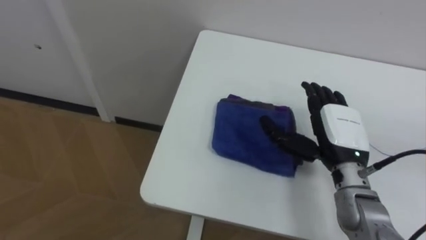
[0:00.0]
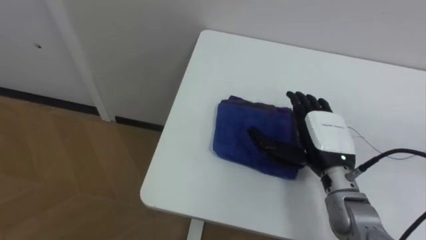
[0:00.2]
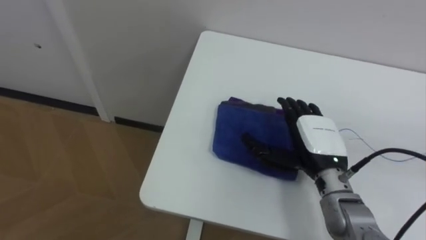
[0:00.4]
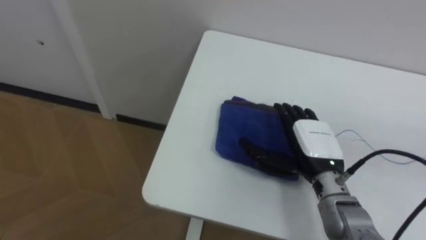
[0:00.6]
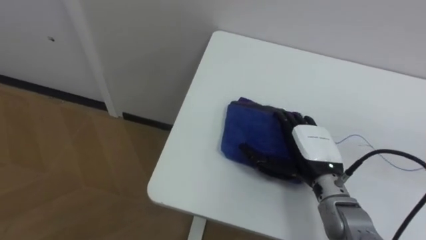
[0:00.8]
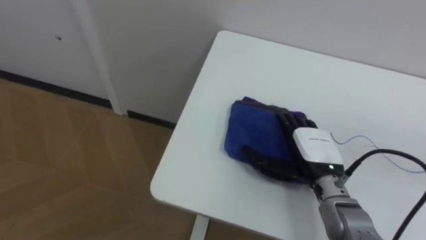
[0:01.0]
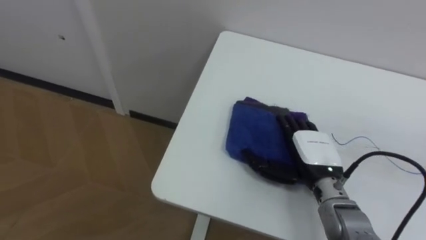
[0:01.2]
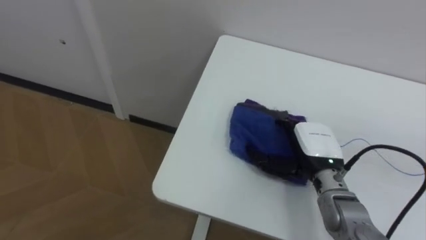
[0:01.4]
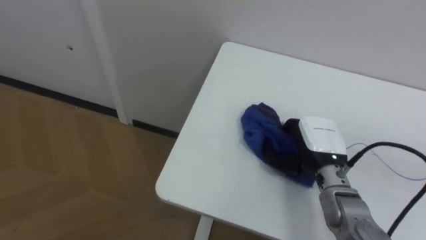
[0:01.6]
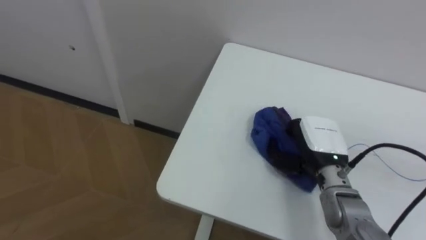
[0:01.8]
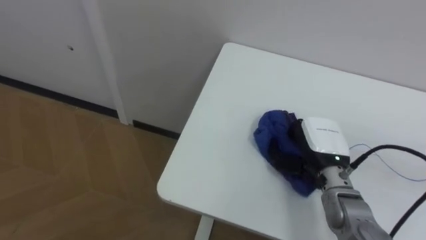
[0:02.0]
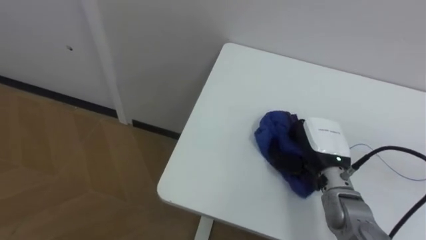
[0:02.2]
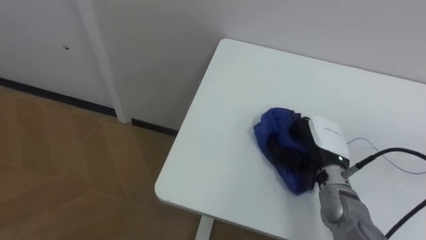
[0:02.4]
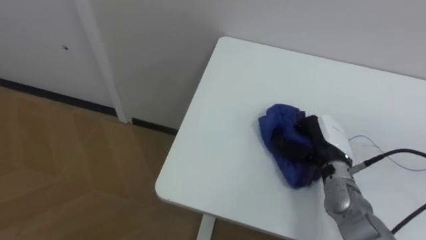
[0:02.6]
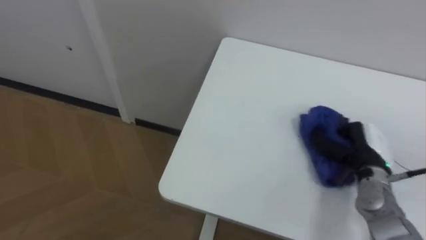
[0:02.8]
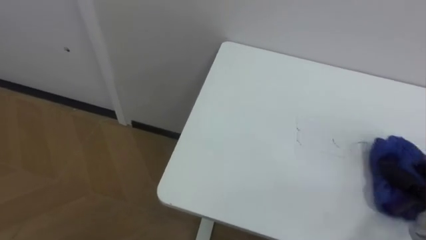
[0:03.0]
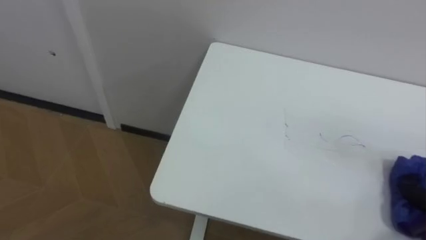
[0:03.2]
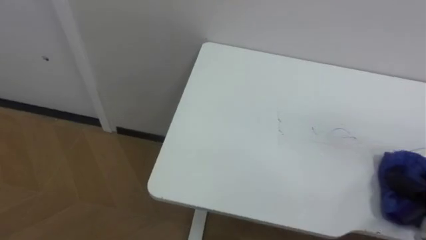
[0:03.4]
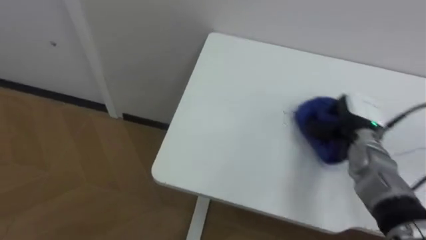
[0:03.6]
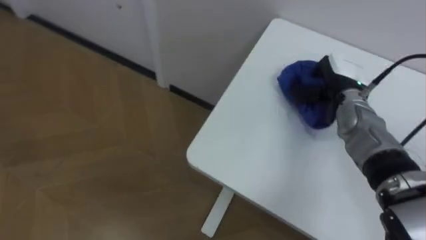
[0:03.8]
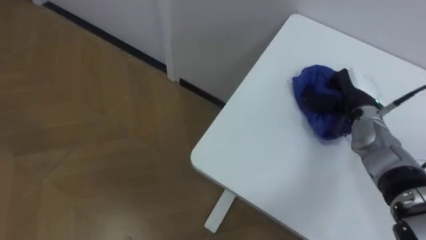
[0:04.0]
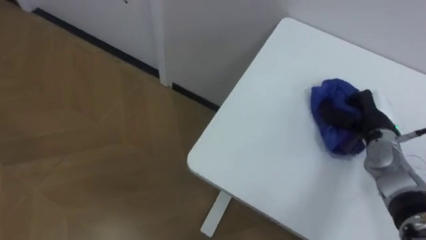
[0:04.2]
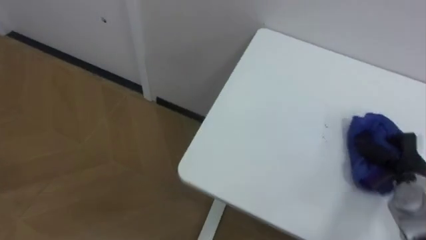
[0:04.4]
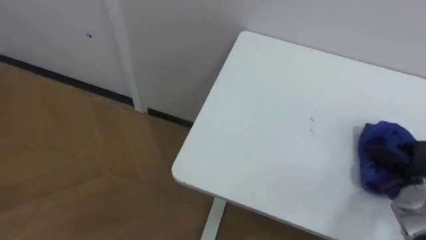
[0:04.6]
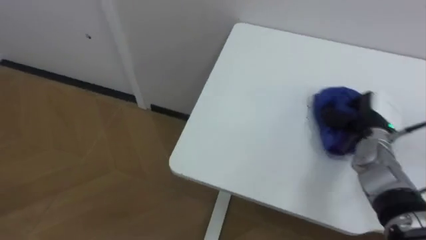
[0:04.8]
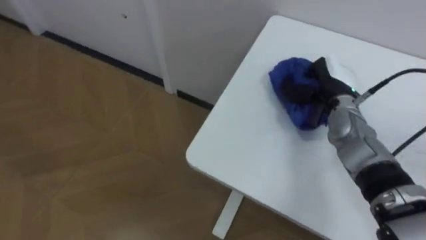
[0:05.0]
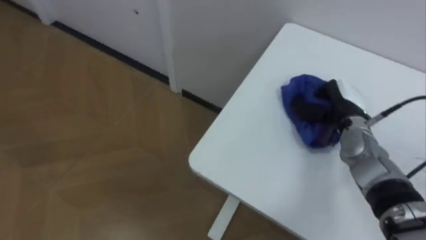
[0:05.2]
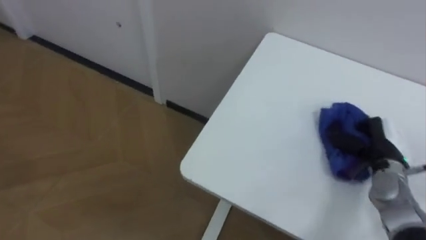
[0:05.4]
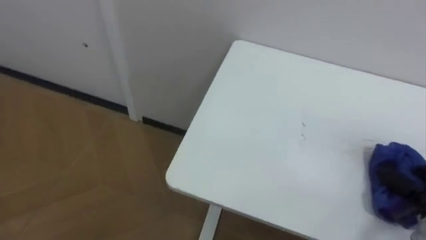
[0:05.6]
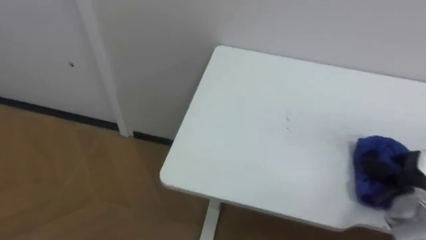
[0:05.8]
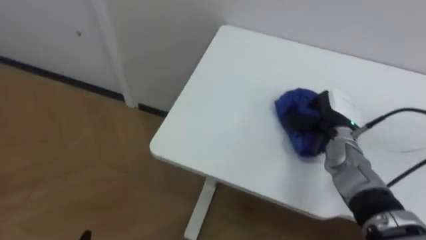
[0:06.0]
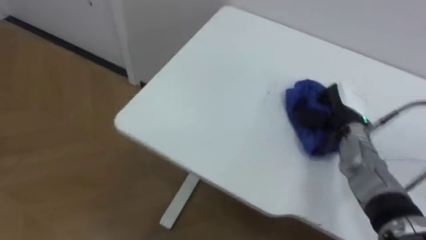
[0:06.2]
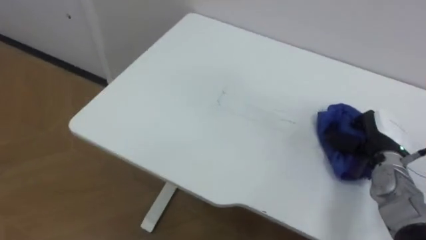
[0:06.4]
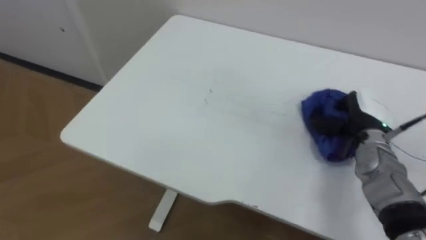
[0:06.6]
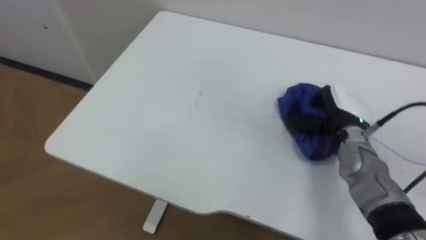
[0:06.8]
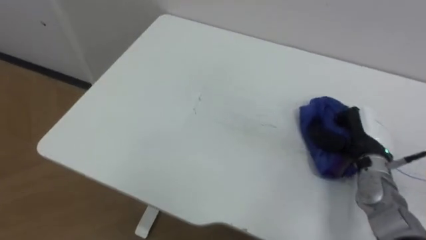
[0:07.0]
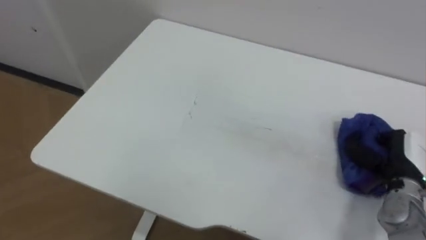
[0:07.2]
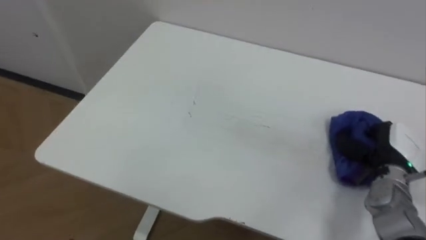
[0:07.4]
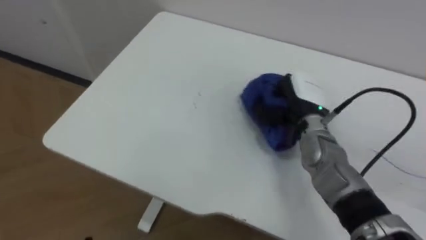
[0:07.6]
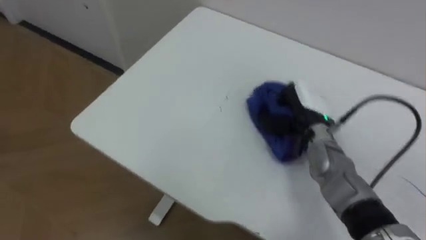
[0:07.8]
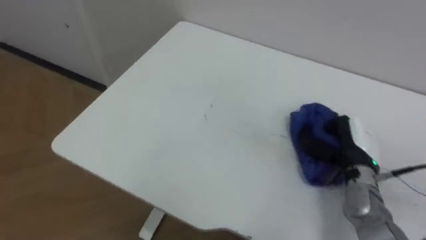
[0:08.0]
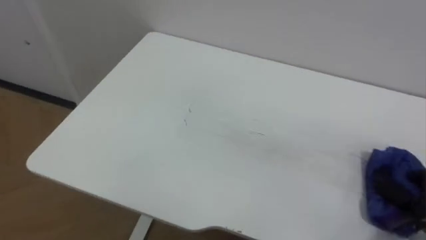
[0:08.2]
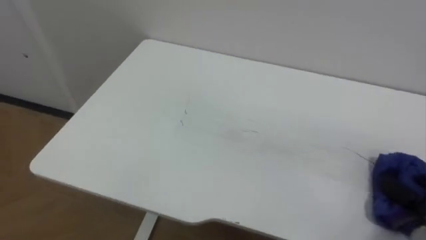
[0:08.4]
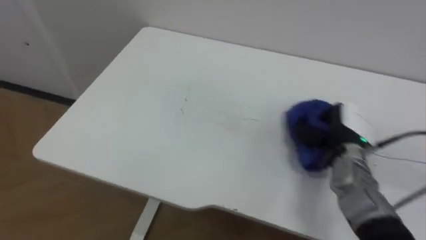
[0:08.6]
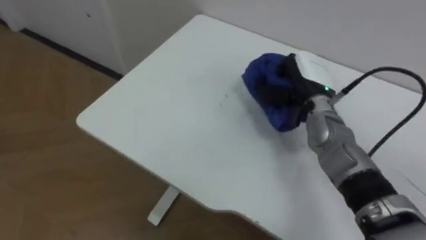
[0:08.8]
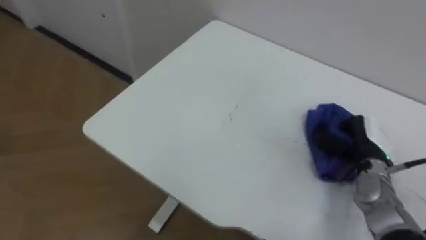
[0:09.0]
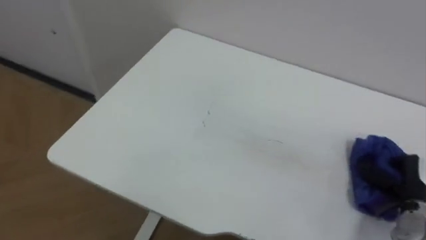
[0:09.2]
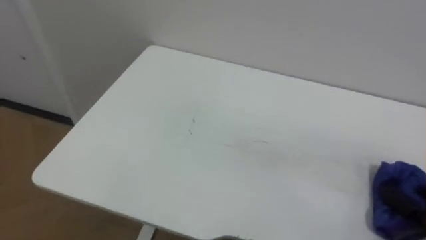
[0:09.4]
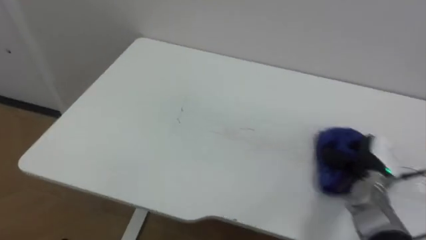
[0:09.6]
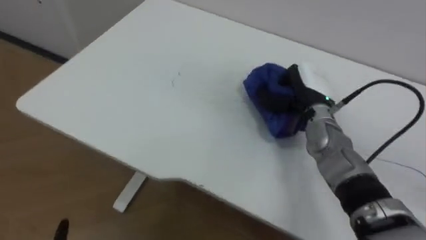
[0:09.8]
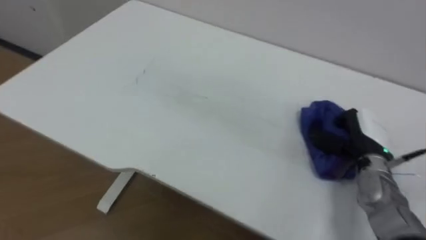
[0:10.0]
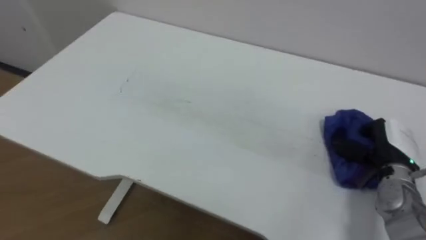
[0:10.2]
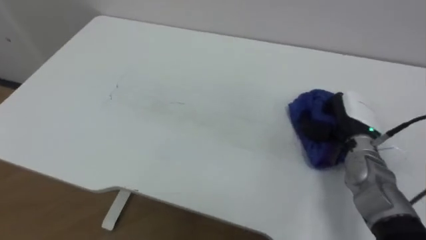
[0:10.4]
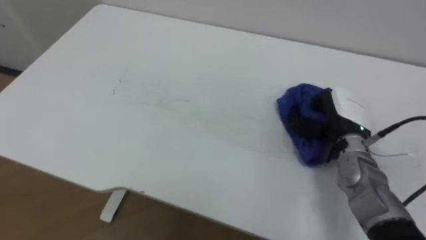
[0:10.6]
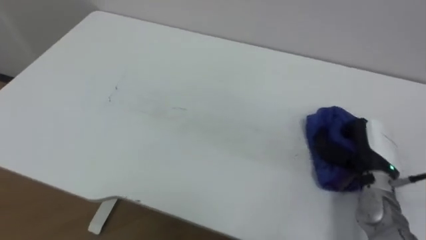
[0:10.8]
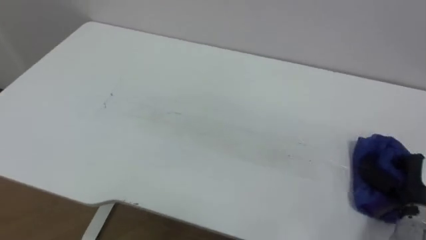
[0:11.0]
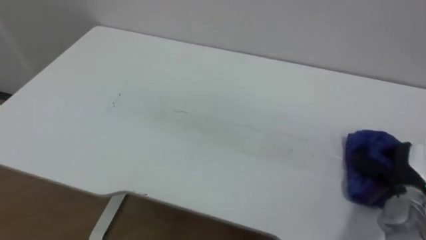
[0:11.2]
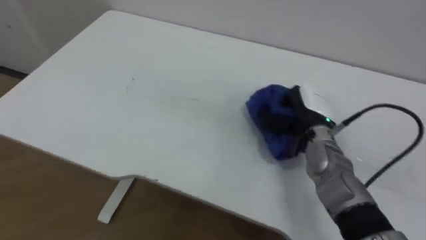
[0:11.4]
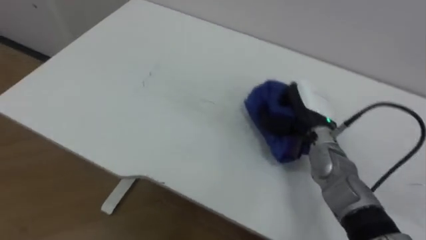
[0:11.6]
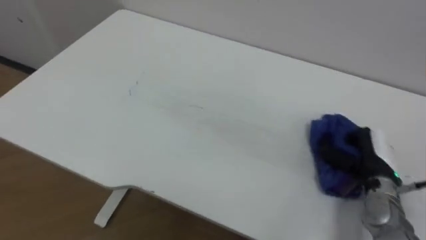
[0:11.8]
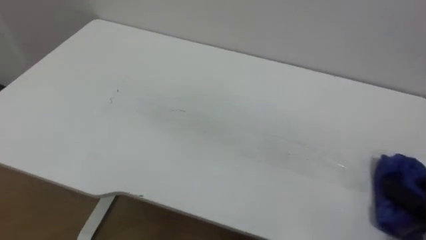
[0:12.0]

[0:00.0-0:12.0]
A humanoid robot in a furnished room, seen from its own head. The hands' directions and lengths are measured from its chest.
Task of the whole recording: Wipe the blue pen marks off the table with the rag.
0:00.0 to 0:01.6: The right hand shifts approximately 5 cm downward, and closes.
0:01.6 to 0:03.0: The right hand heads to the right, covering about 20 cm, and closes its fingers.
0:06.0 to 0:07.6: The right hand goes left and right, about 20 cm each way, reversing 3 times.

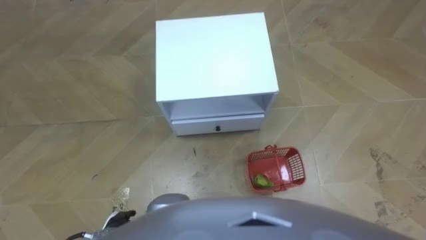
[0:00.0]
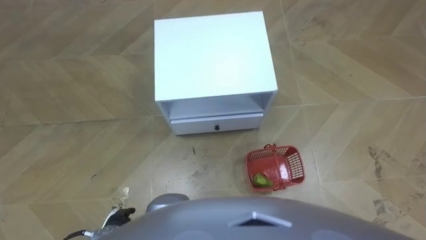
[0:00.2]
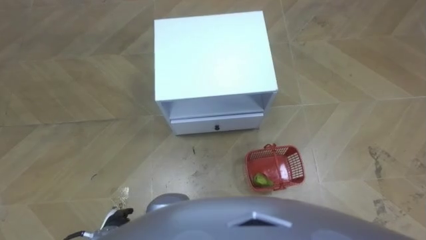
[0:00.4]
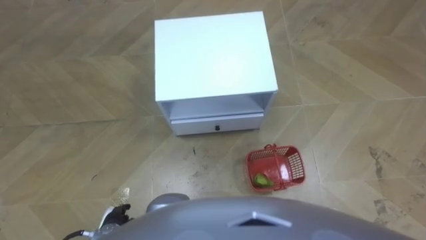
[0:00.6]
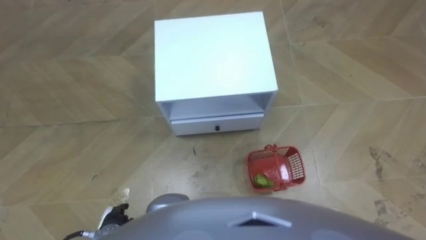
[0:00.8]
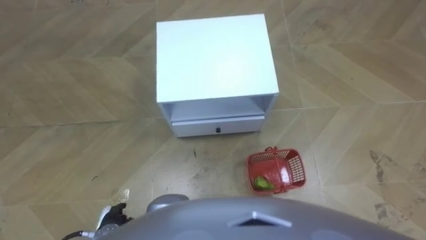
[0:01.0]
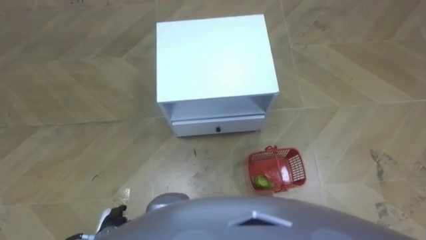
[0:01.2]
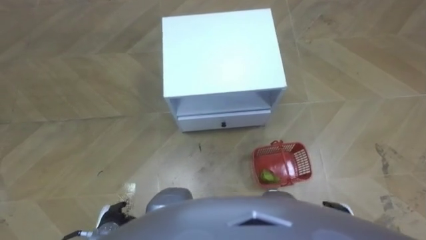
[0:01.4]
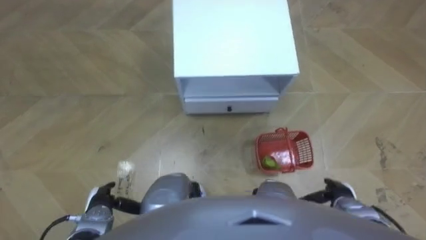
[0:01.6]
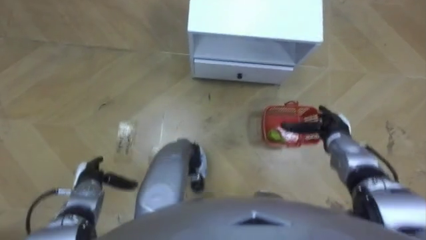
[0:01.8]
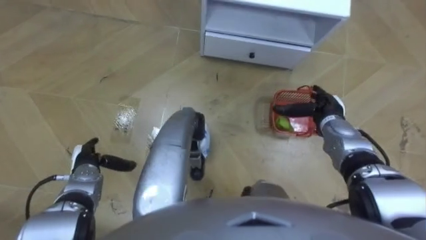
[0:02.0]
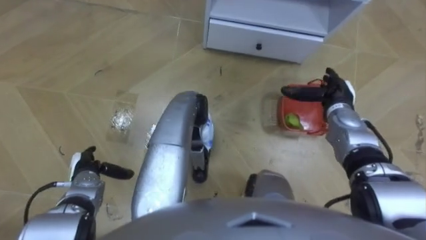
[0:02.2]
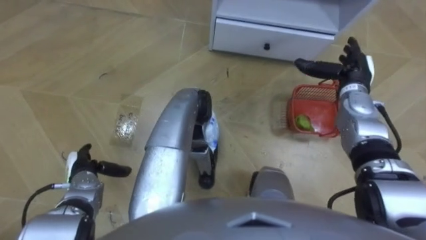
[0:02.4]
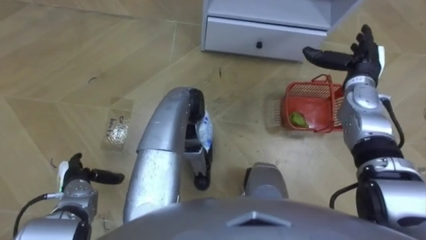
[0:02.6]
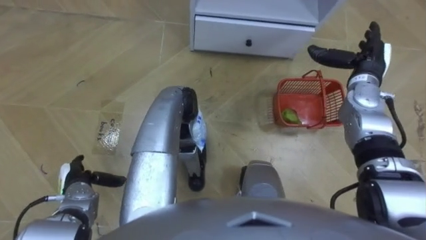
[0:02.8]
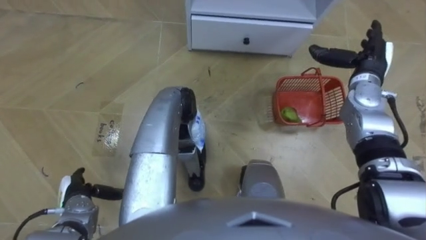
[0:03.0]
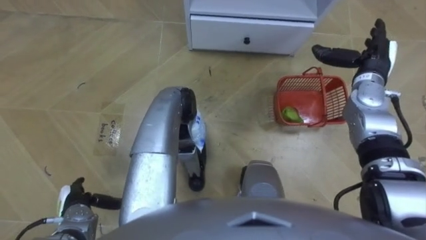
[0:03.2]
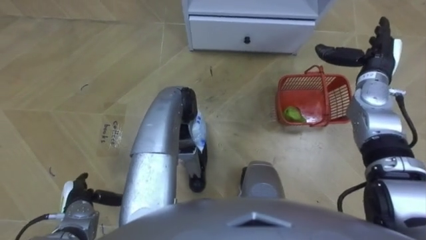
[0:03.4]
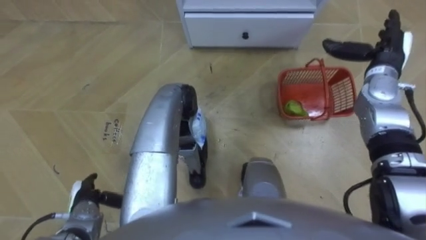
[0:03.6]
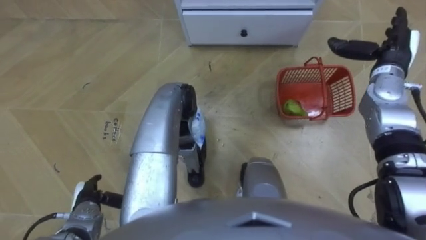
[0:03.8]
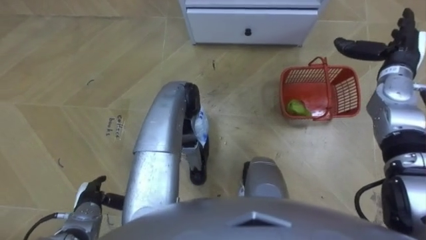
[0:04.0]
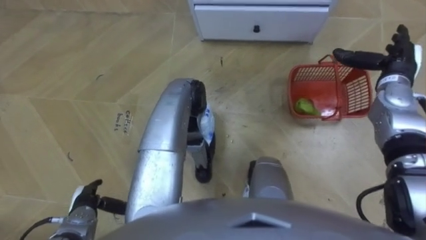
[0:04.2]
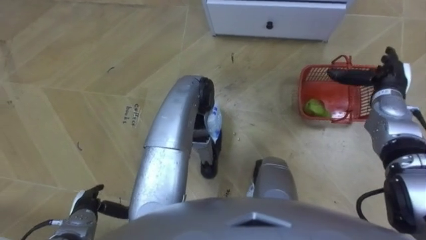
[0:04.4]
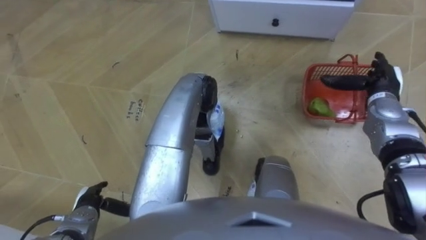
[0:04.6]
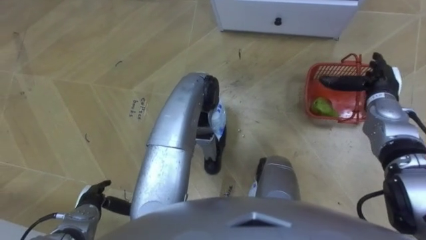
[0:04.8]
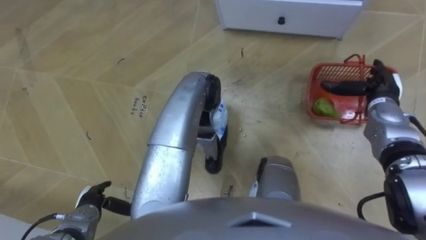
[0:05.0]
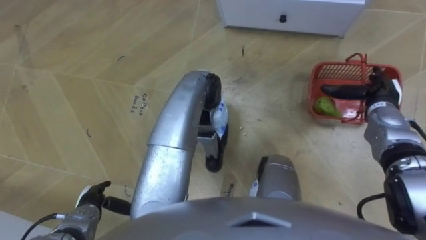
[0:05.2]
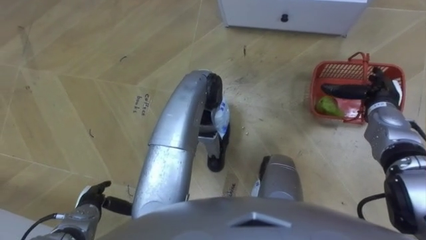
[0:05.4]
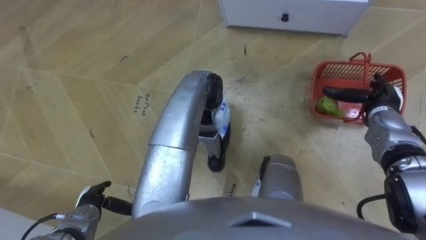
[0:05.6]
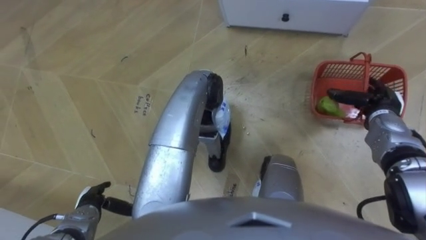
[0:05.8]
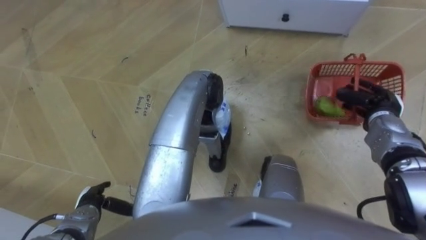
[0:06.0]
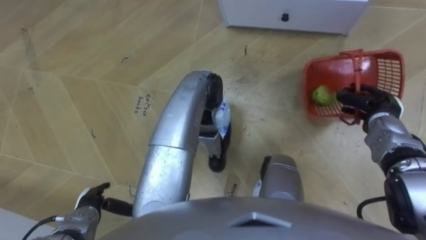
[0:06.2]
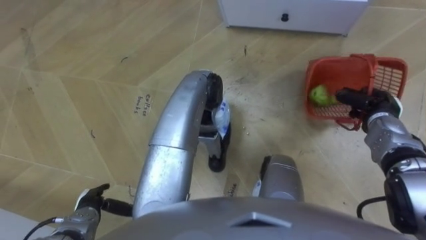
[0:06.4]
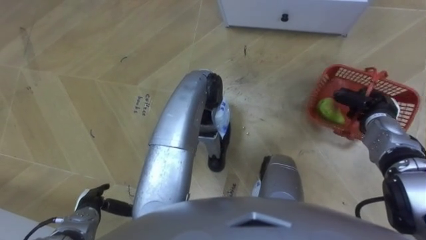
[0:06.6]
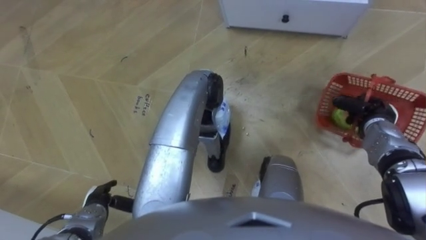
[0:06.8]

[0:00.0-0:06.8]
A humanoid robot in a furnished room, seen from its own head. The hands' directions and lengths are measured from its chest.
Task of the whole recording: Pick up the fruit basket from the floor and place it on the cabinet.
0:01.4 to 0:02.8: The left hand shifts approximately 10 cm forward and to the left. The right hand shifts about 35 cm forward and upward.
0:02.8 to 0:04.0: The left hand ends up some 5 cm from where it was. The right hand ends up about 5 cm from where it was.
0:04.0 to 0:05.4: The right hand shifts about 10 cm downward and backward.
0:05.4 to 0:06.8: The right hand closes.
